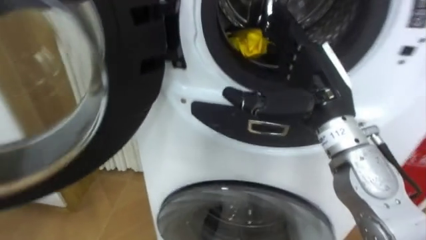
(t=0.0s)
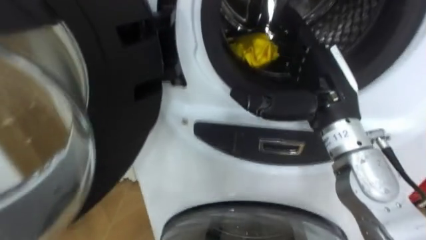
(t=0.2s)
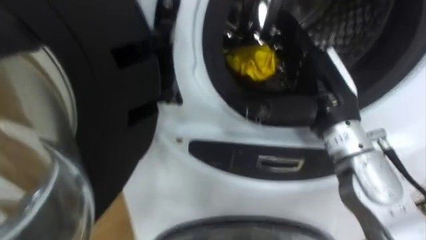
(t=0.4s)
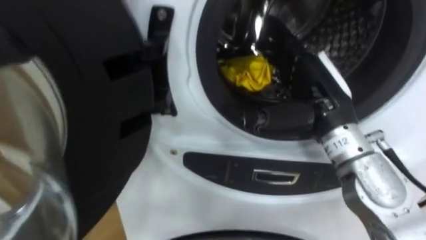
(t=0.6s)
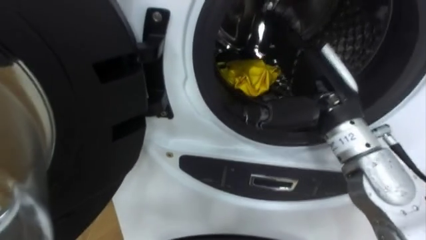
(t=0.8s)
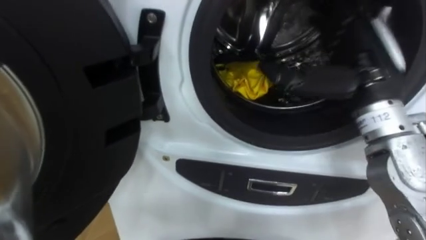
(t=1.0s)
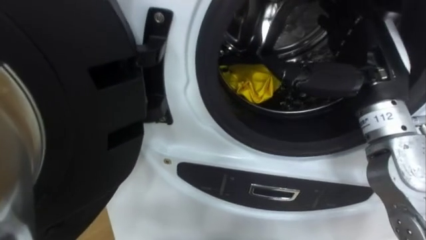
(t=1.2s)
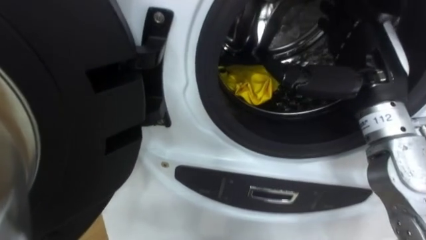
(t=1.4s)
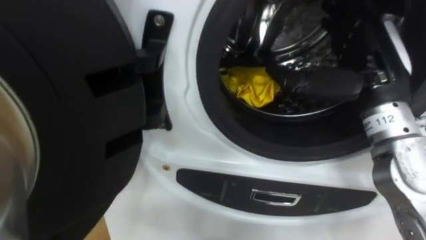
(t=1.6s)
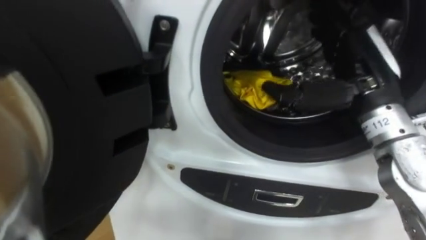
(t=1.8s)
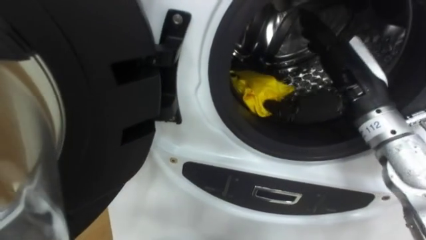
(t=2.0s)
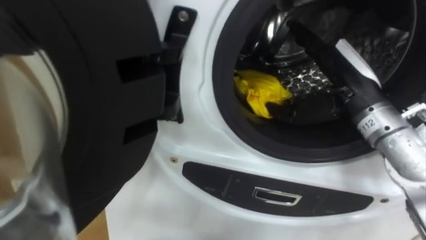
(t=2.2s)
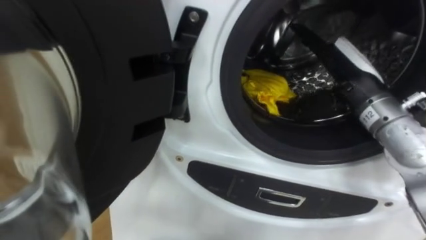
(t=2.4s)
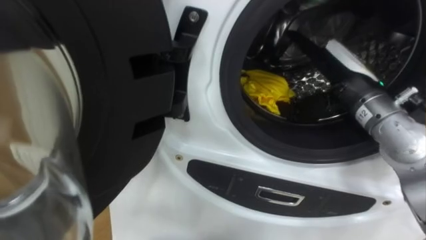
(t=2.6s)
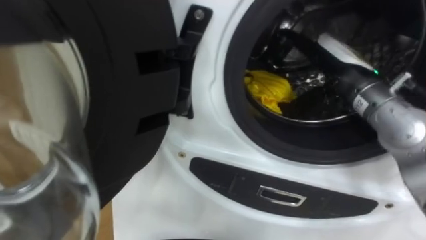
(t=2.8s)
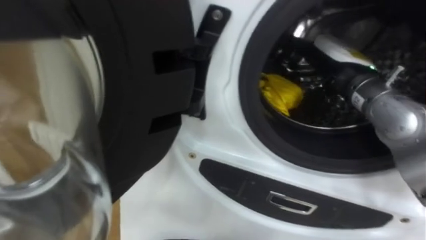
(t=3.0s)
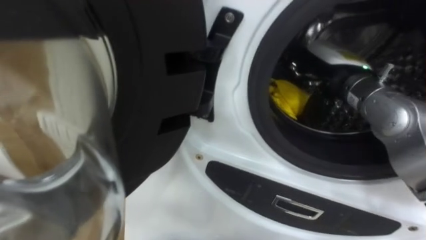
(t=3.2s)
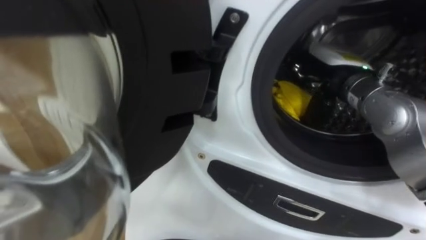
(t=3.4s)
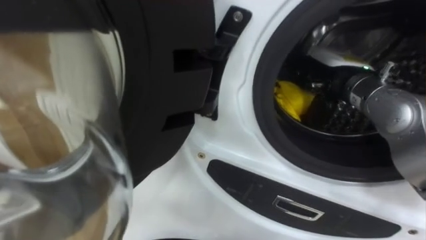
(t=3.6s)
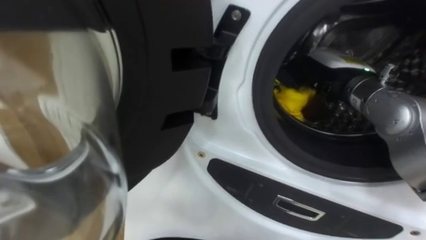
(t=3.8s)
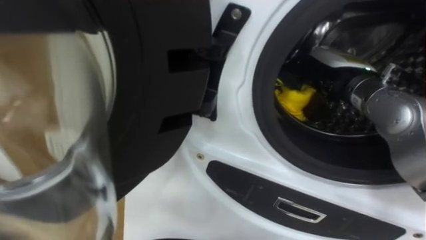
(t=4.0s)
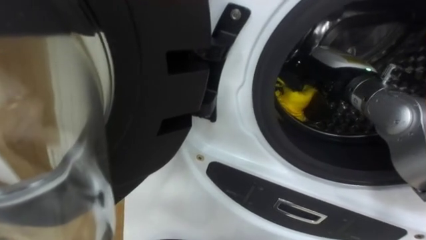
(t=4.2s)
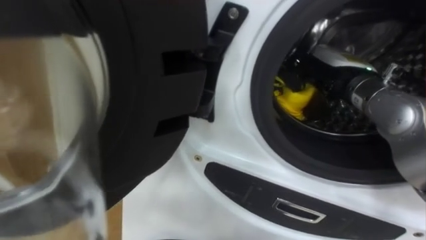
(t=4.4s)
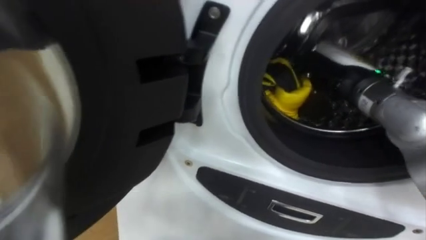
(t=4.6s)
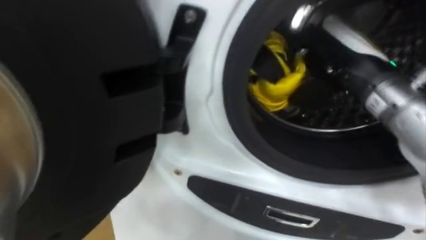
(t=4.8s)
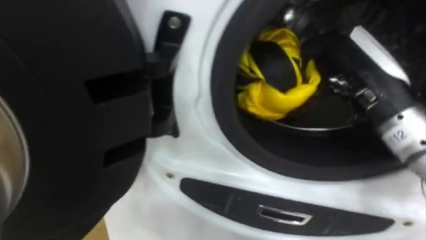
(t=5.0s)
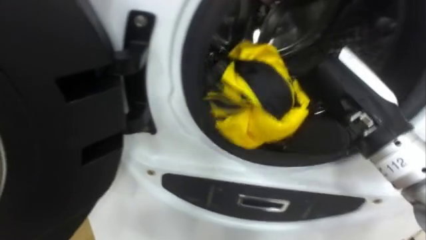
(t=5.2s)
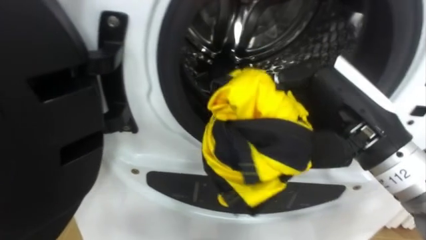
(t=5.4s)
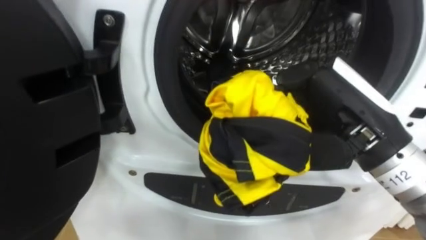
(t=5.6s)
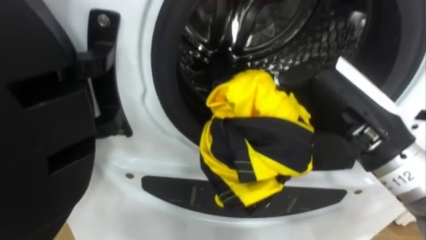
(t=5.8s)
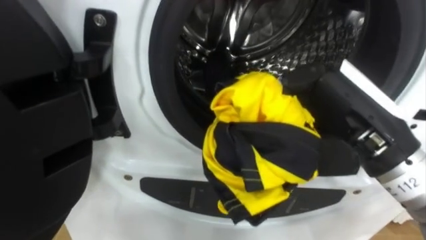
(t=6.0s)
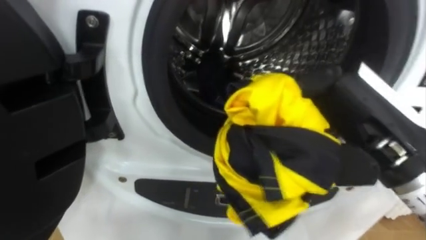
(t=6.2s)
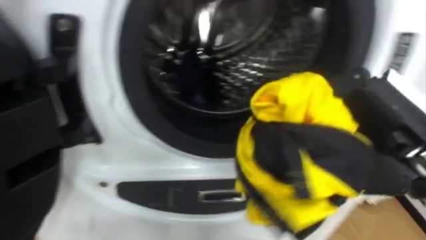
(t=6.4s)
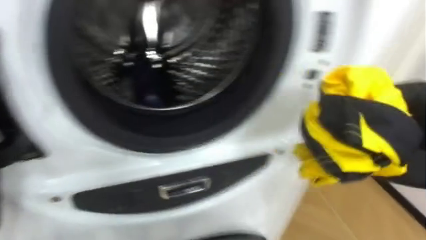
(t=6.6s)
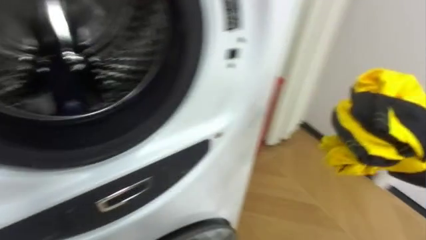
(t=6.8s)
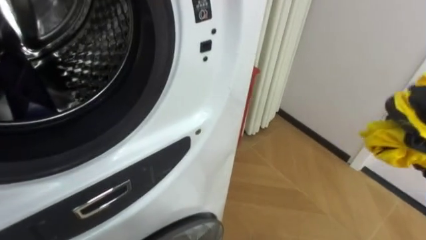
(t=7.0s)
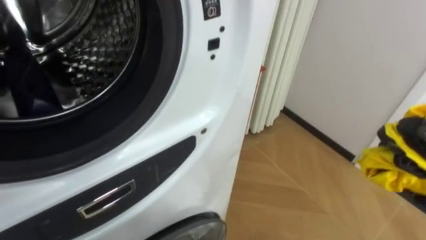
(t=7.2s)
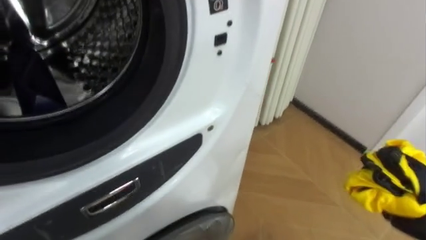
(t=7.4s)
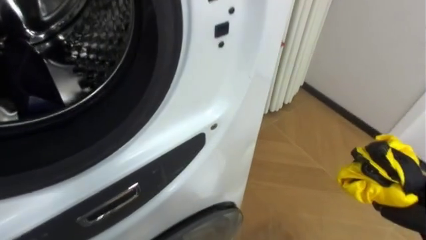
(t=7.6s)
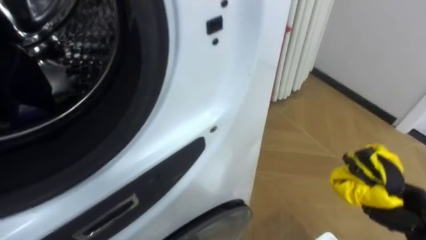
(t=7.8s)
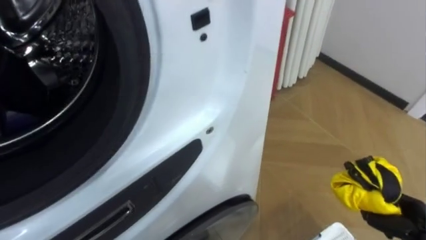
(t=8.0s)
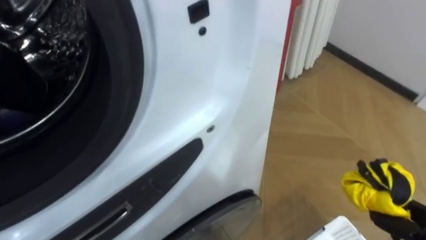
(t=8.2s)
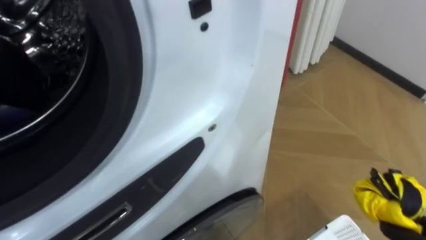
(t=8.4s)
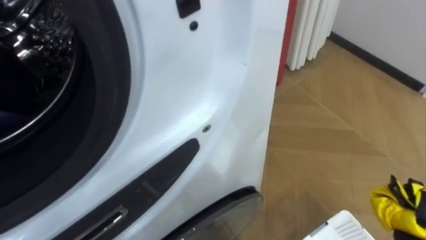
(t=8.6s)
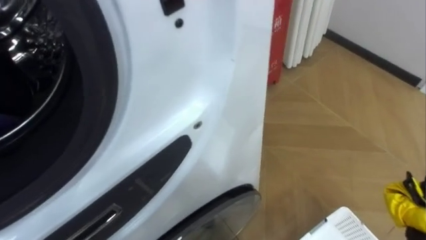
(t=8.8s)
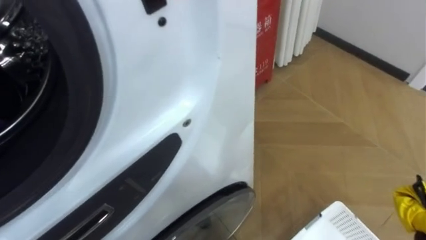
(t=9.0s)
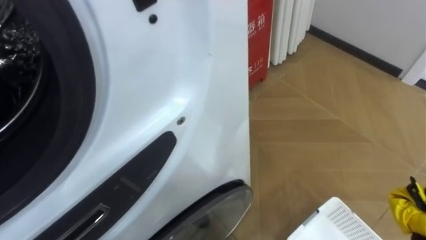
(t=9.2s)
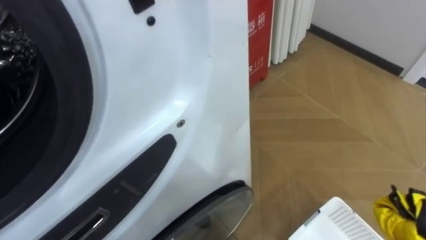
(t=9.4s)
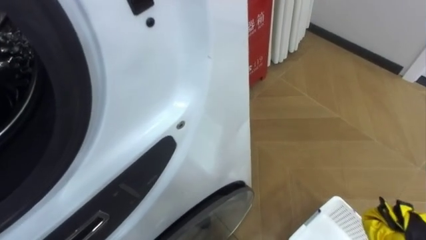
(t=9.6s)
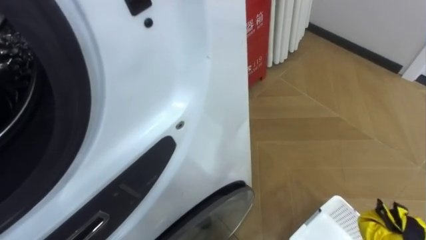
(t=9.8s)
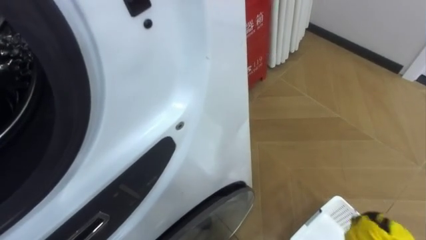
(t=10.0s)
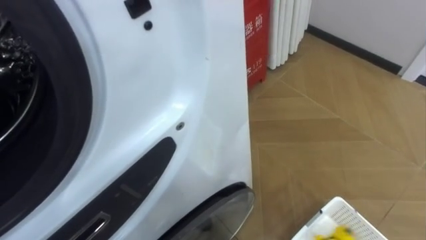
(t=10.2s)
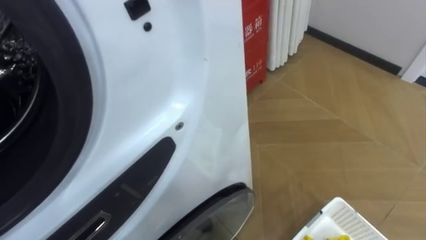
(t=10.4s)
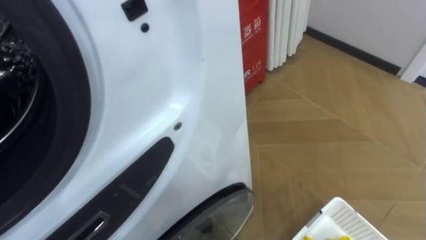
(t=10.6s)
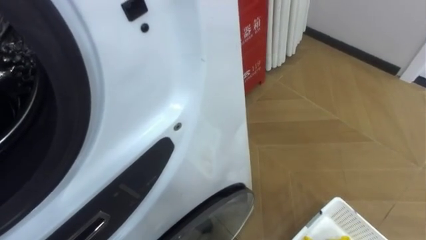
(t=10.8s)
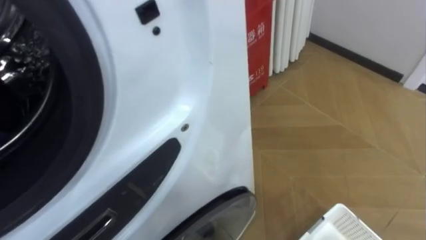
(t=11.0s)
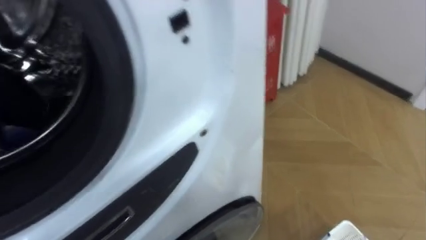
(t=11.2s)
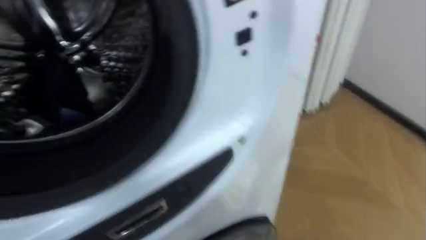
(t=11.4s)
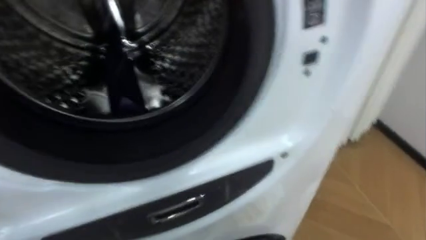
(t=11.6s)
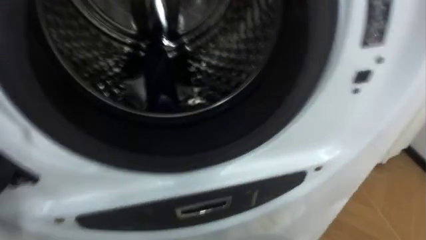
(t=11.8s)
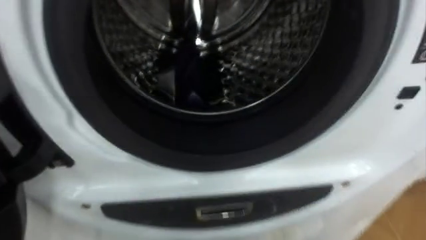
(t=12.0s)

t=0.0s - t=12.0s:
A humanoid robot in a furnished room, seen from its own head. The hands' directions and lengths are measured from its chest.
Task of the whole recording: Open the washing machine door, take out the yellow clothes, place them in the box on the right, and close the washing machine door.
t=0.0s - t=1.6s: The right hand travels to the right by about 5 cm.
t=1.6s - t=3.0s: The right hand goes some 5 cm forward.
t=3.0s - t=4.4s: The right hand closes up.
t=4.4s - t=6.0s: The right hand is displaced backward by roughly 15 cm.

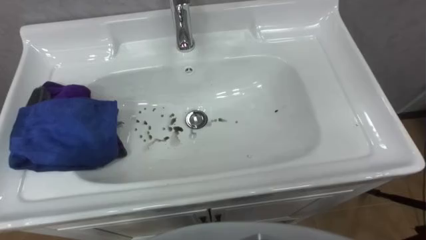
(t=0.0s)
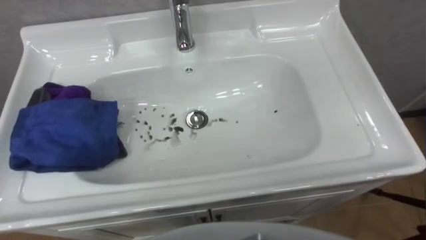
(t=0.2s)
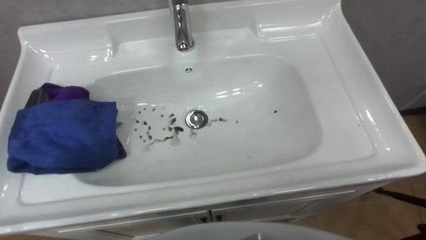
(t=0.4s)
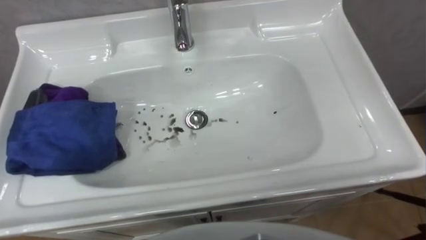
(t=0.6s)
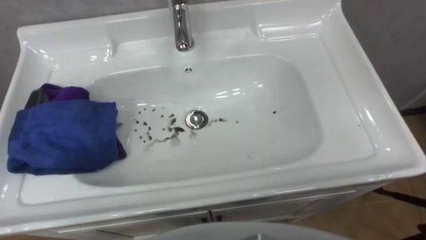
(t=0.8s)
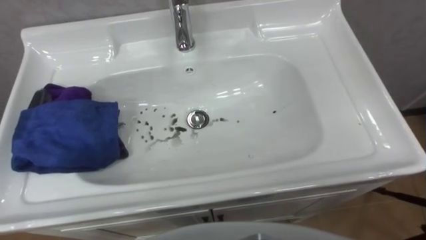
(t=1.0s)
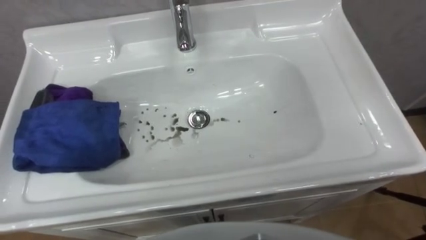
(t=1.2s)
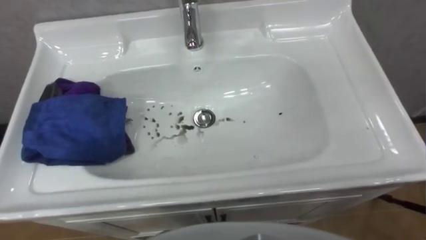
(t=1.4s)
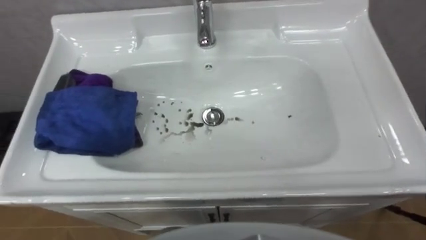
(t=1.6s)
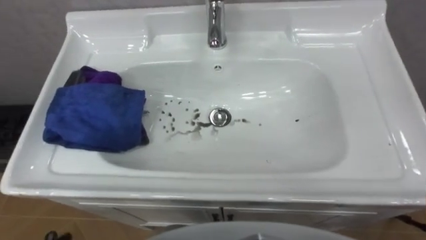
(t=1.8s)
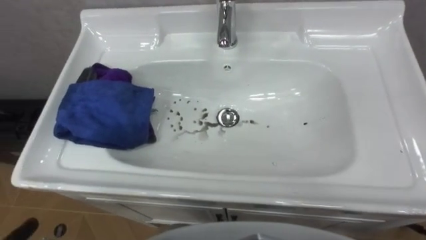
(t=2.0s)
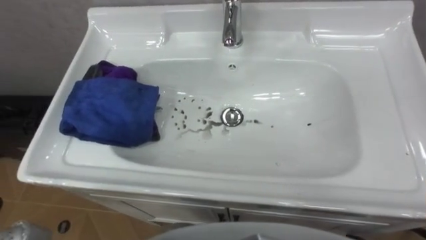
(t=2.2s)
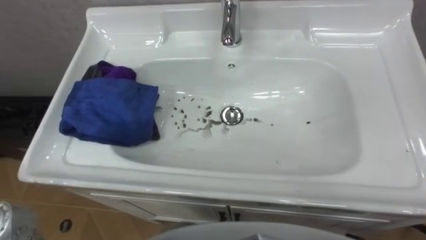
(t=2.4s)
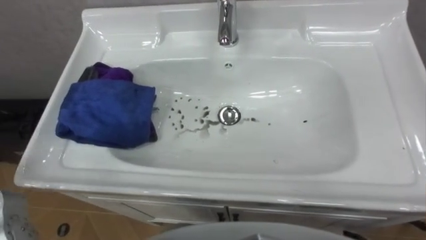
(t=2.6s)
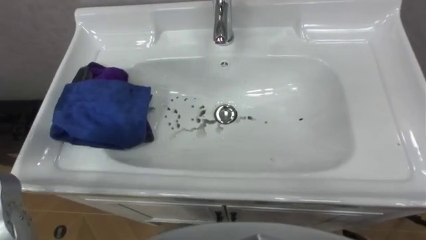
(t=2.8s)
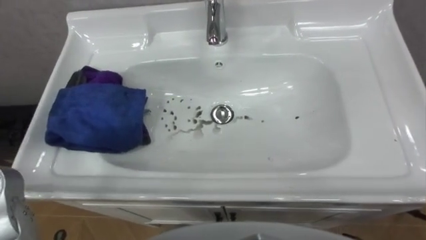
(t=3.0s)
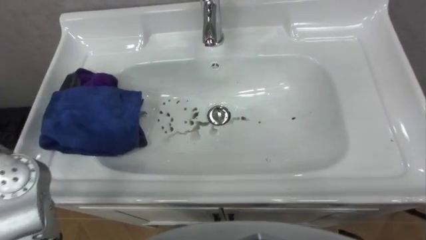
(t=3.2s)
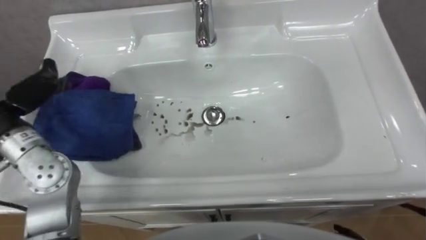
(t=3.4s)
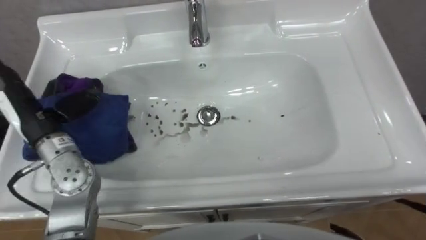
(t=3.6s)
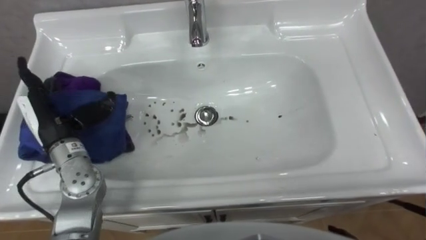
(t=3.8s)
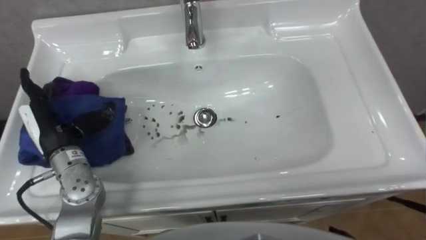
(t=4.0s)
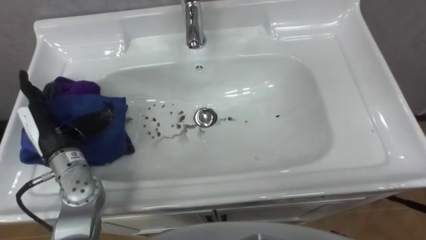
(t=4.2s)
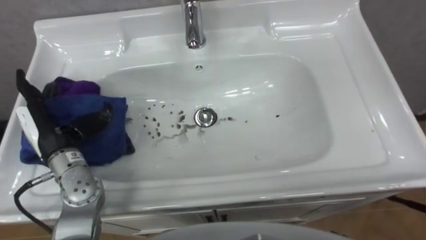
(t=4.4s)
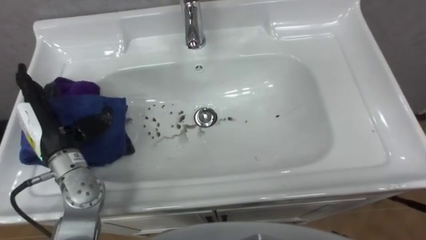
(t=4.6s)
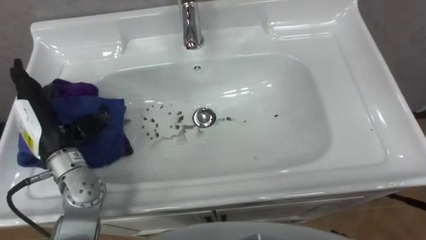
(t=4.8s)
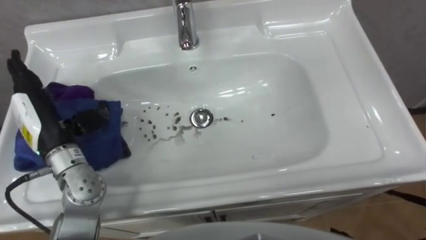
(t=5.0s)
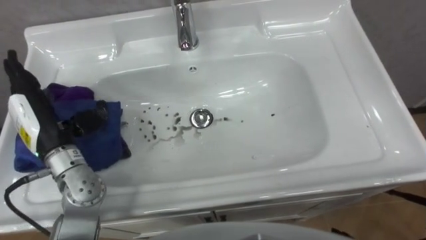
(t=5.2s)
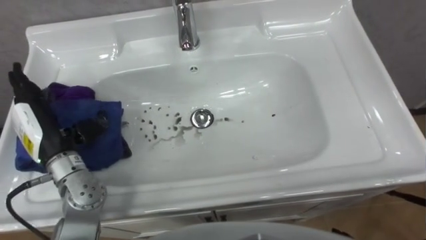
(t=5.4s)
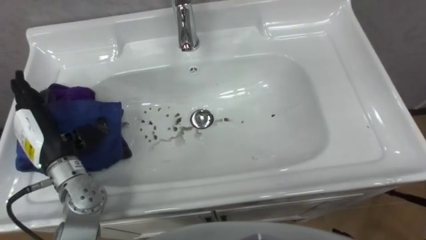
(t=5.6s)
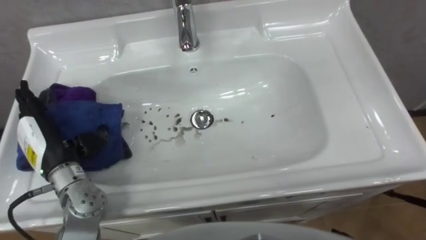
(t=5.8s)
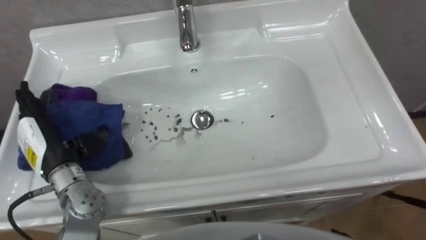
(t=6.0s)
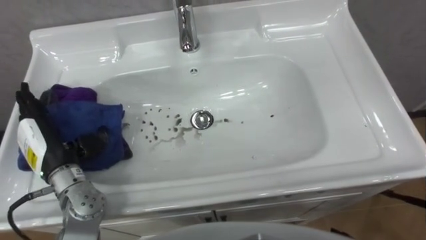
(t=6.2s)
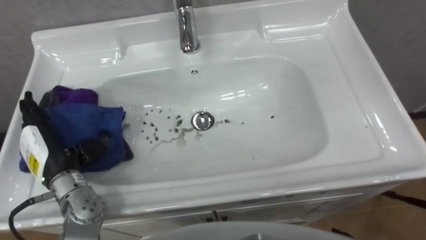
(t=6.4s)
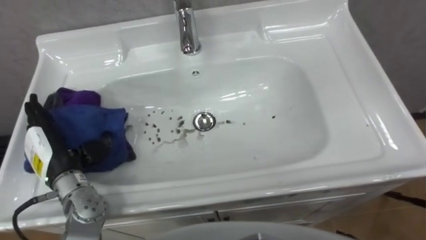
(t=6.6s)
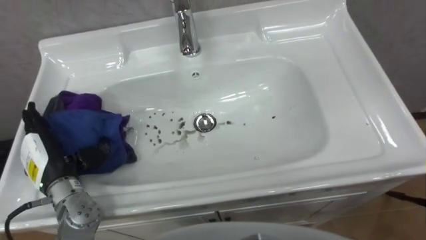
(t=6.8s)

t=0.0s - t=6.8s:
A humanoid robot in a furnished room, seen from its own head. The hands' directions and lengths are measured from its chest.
Task of the whole recording: Use the cloth on the right to wipe away the black stain in the sink.
t=5.4s - t=6.8s: The left hand goes approximately 5 cm downward.
